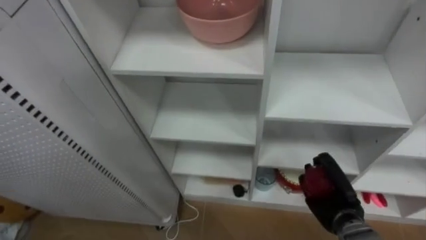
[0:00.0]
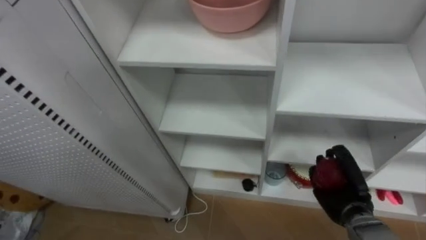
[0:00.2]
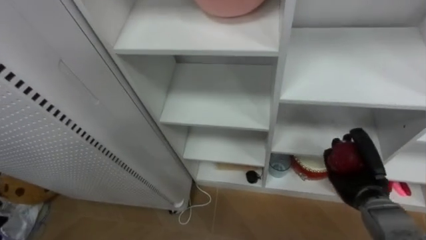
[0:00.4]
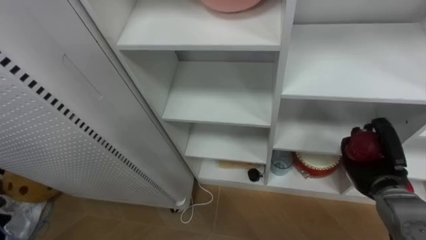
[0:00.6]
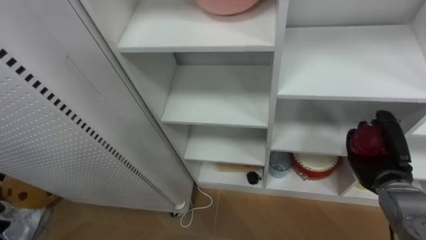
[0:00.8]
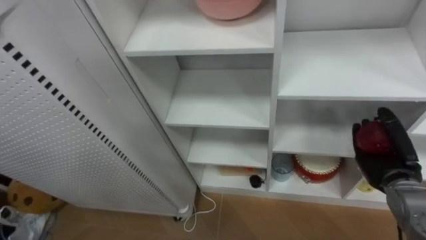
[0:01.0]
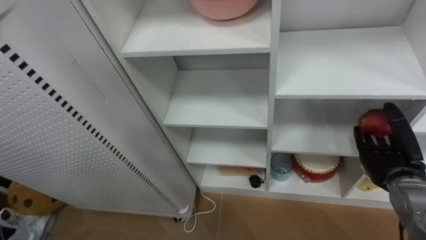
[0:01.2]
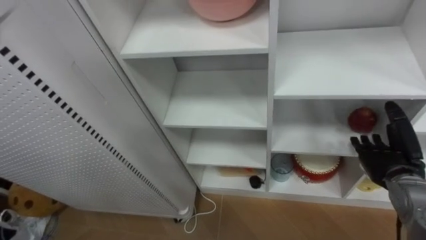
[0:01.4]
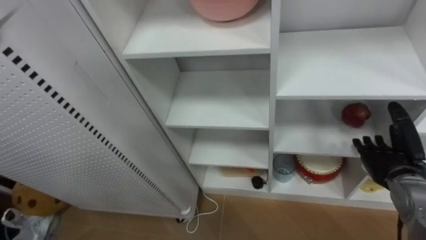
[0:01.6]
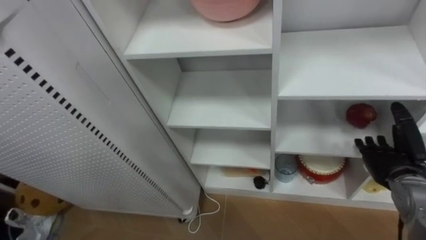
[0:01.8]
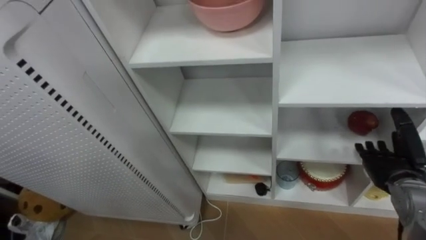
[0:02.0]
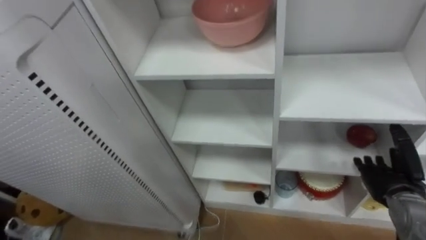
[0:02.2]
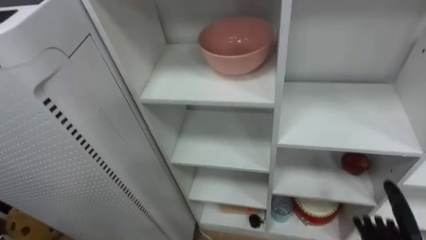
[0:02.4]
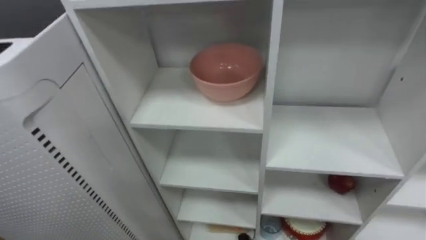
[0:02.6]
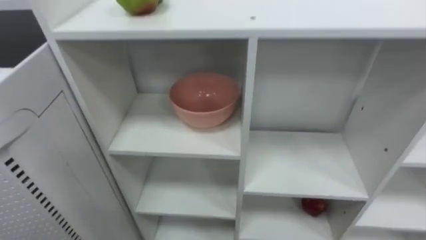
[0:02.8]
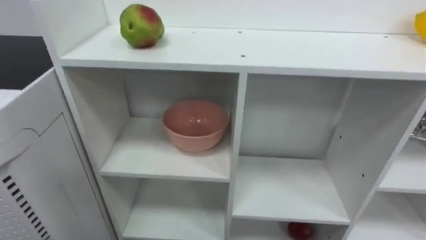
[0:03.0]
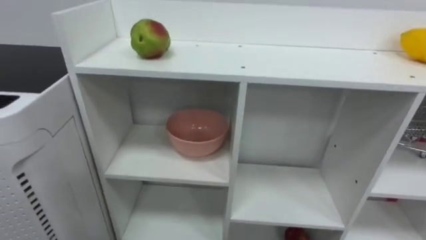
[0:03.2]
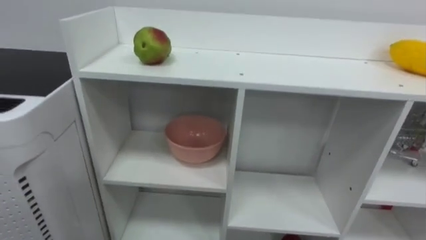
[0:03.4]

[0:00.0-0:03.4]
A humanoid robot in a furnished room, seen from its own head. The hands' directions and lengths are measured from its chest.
Task of the whole recording: Put the apple in the cell in the second column from the left and the second row from the top.
0:00.0 to 0:01.6: The right hand shifts about 15 cm to the right and upward, and opens up.

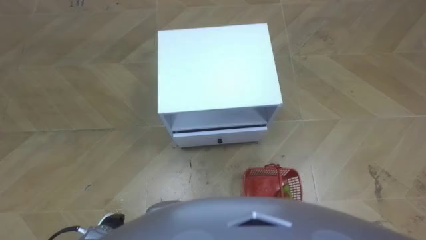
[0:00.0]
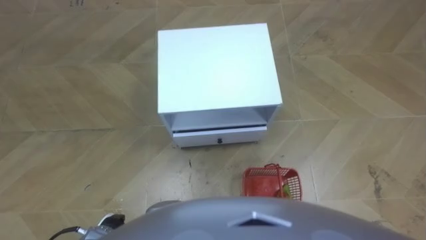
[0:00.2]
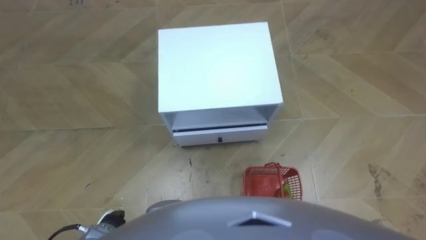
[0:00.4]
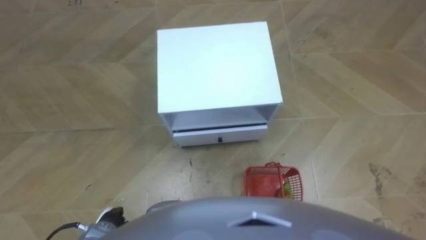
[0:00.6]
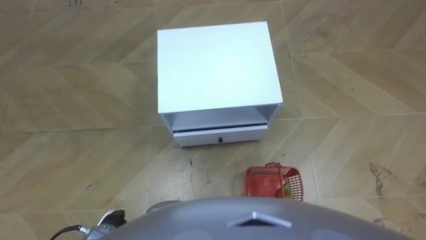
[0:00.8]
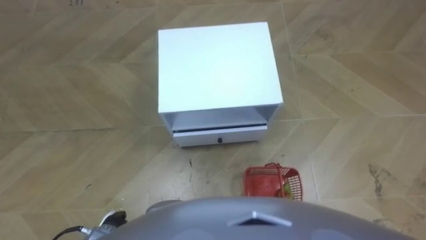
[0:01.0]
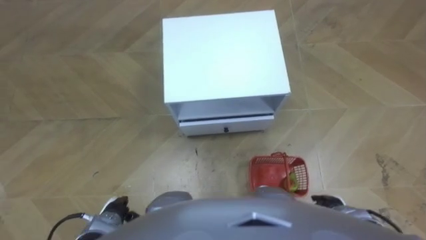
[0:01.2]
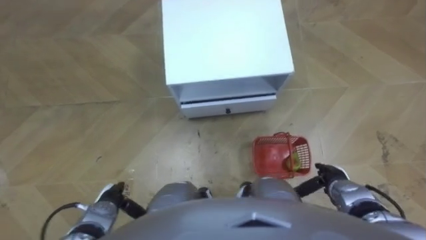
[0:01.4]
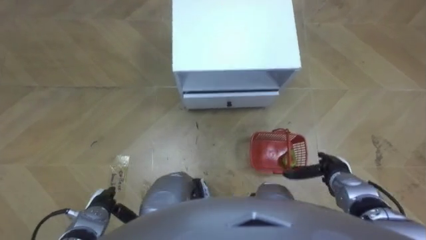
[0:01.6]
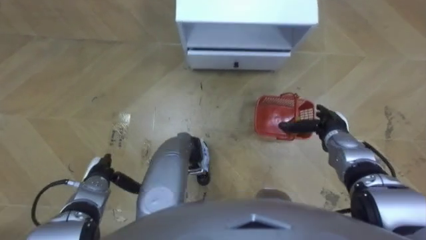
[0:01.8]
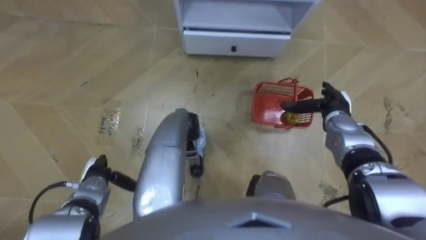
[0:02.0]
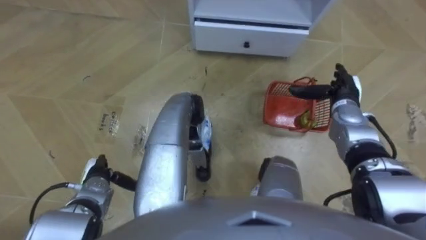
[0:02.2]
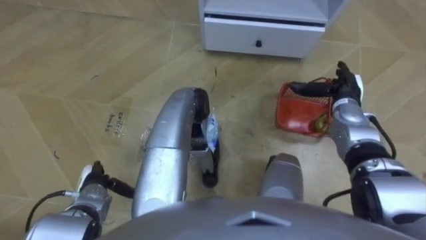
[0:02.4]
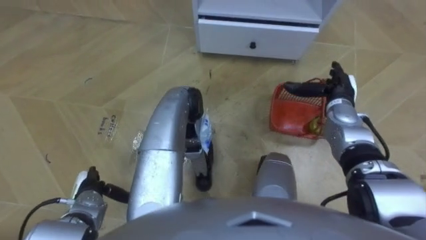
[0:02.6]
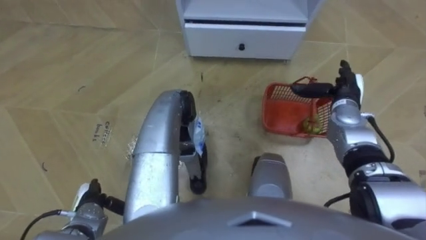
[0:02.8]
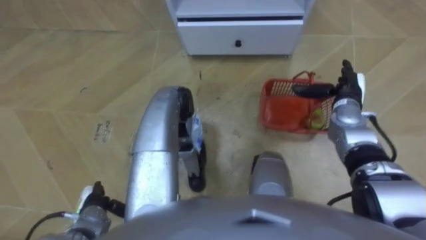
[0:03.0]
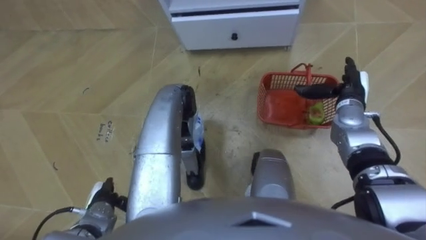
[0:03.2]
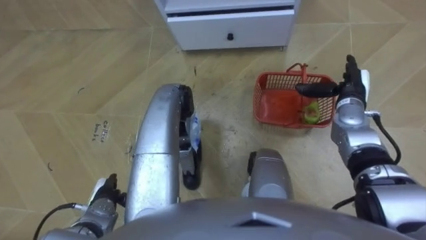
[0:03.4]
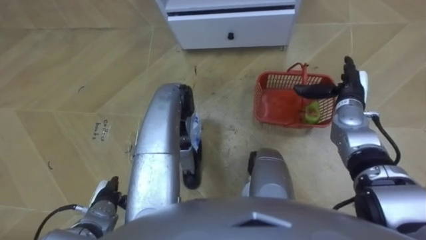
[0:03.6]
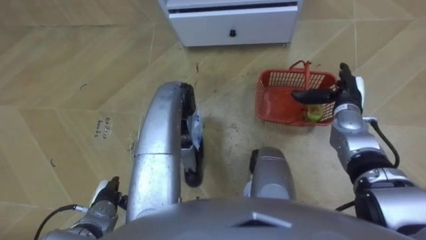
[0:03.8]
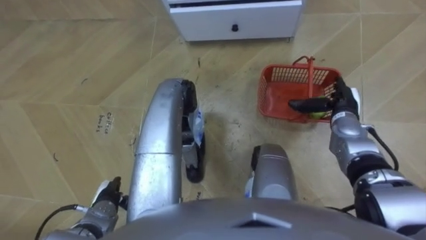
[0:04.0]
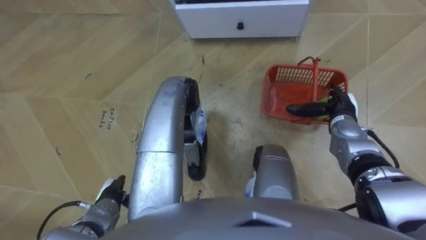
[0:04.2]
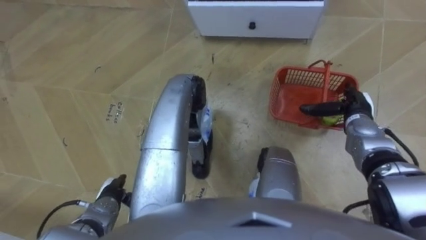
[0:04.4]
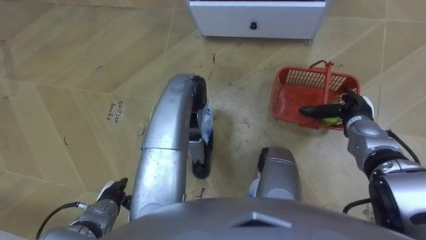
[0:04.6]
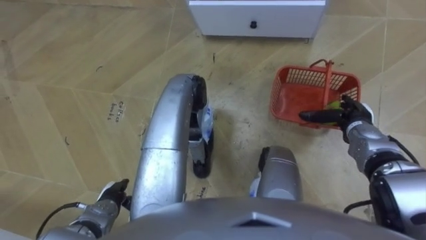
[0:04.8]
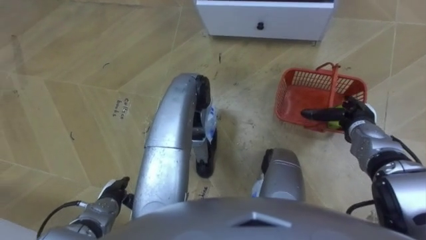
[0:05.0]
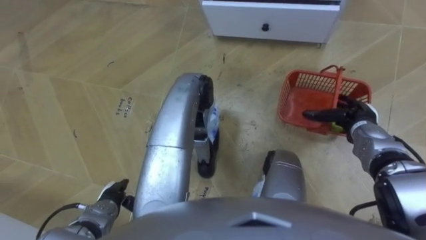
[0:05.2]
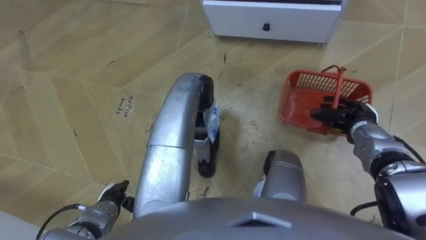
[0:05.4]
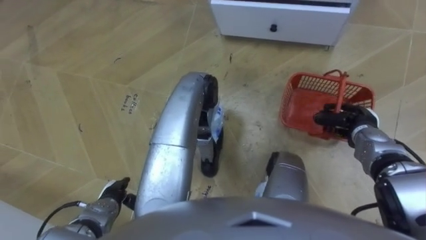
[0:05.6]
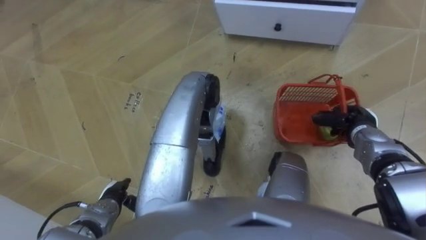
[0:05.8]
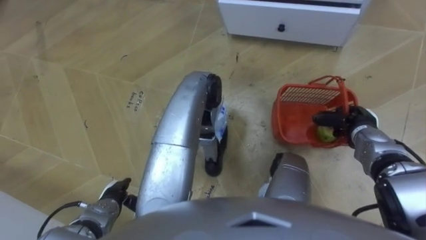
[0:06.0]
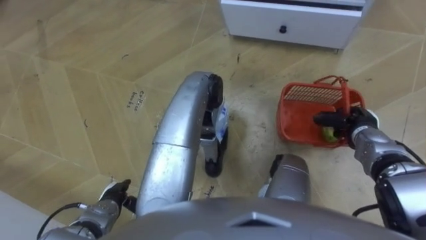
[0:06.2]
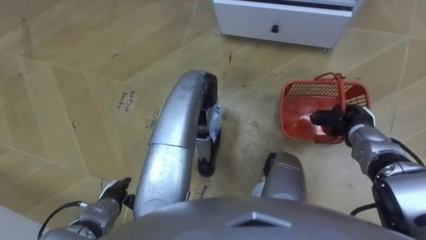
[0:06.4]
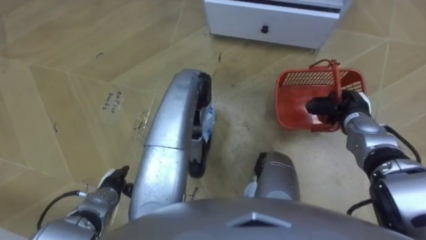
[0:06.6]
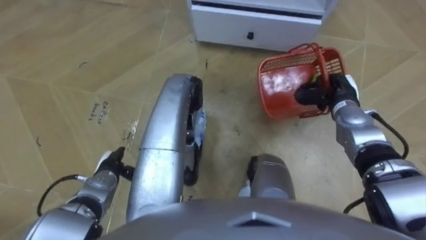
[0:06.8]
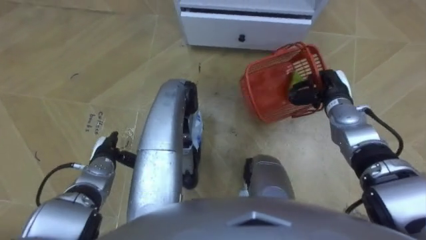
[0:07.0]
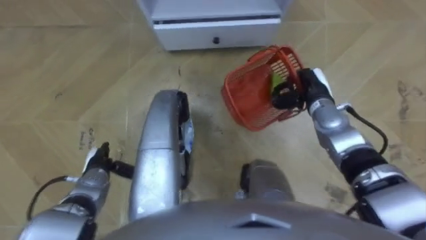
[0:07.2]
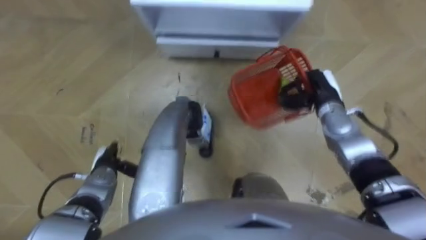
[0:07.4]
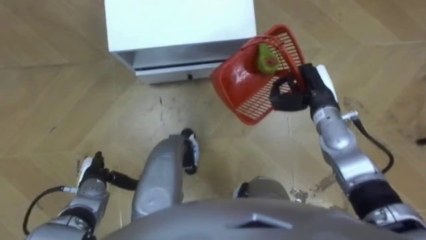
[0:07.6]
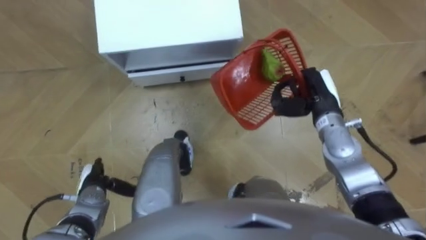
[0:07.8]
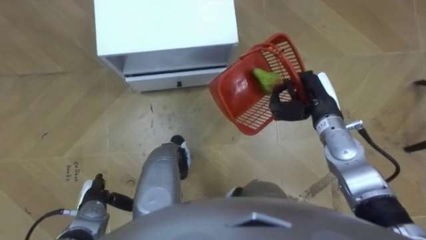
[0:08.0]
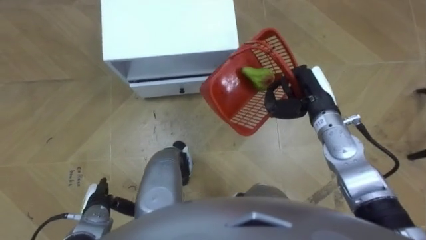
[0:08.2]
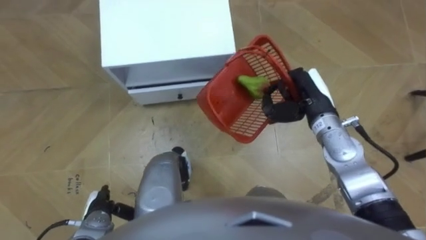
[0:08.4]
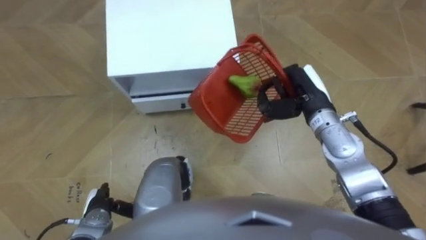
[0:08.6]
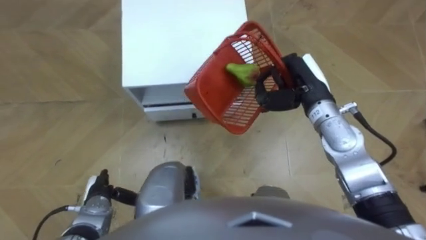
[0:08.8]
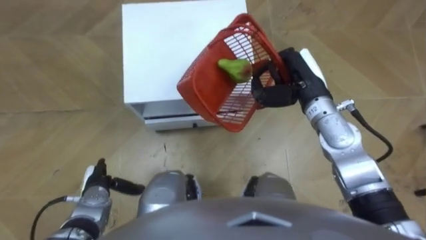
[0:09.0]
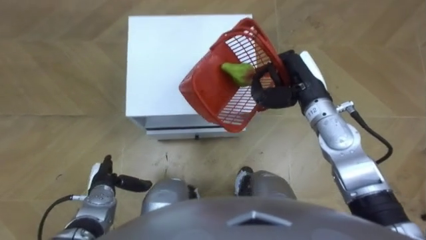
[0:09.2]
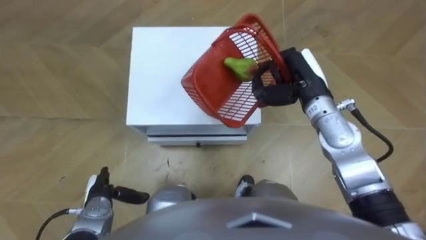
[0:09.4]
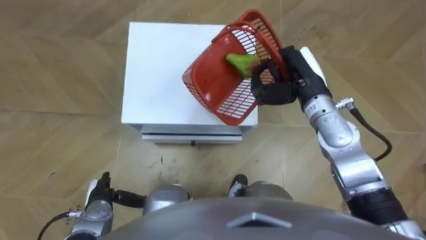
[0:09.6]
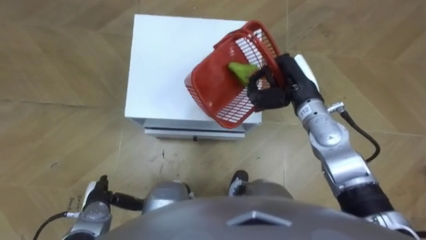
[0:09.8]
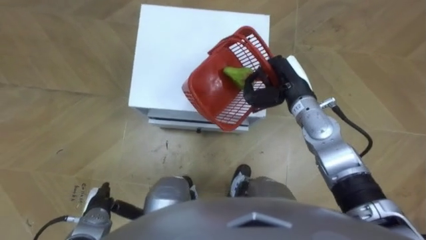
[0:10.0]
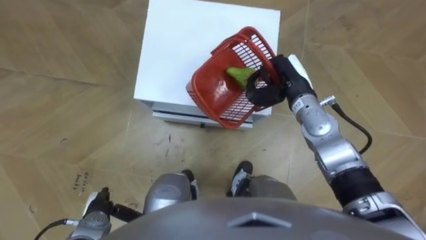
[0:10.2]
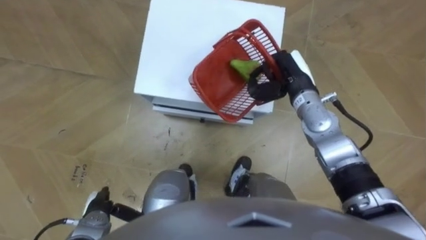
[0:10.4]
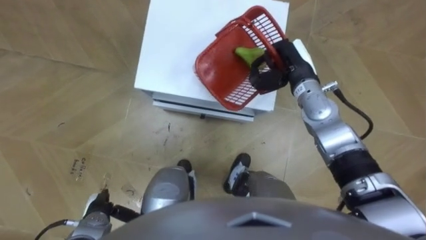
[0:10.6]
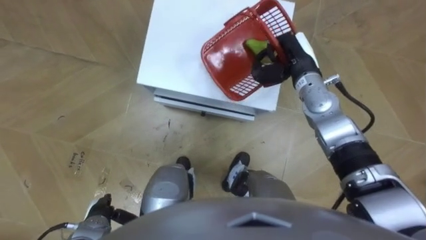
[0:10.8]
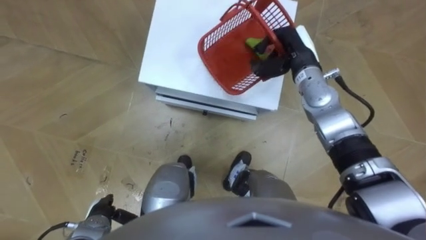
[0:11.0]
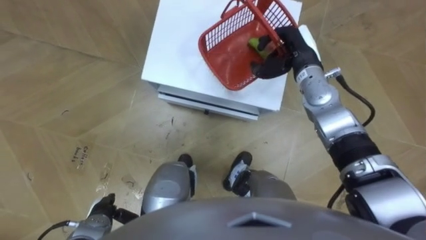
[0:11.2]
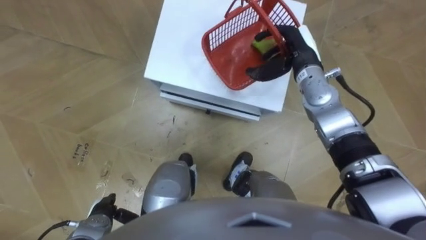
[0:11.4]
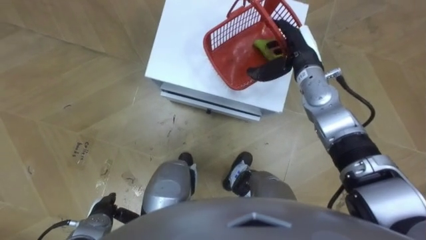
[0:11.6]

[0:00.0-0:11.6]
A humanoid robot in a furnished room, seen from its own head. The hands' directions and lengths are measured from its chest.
Task of the whole recording: Pick up the fruit basket from the floor and place it on the cabinet.
0:01.4 to 0:02.8: The left hand moves approximately 5 cm forward and comes back. The right hand is displaced forward and upward by about 20 cm.
0:04.4 to 0:05.8: The right hand closes.
0:05.8 to 0:07.2: The right hand shifts about 10 cm to the left and forward. Meanwhile the left hand goes some 10 cm forward.
0:07.2 to 0:08.8: The right hand moves upward, roughly 10 cm. Meanwhile the left hand travels backward by approximately 10 cm.
0:10.2 to 0:11.6: The right hand moves forward, approximately 5 cm, and opens.

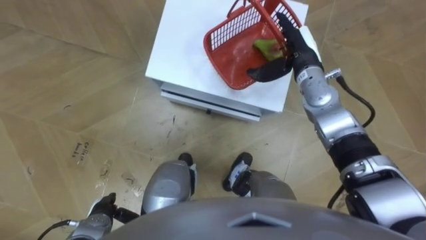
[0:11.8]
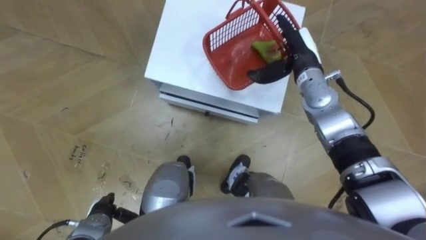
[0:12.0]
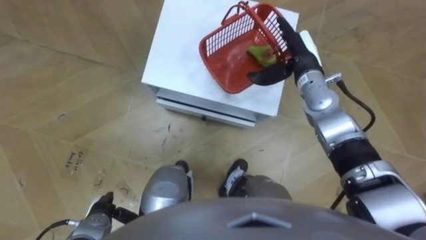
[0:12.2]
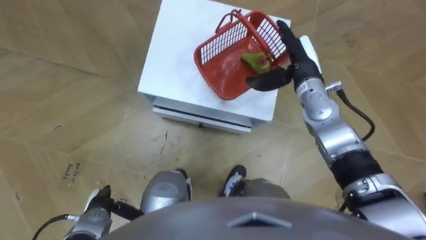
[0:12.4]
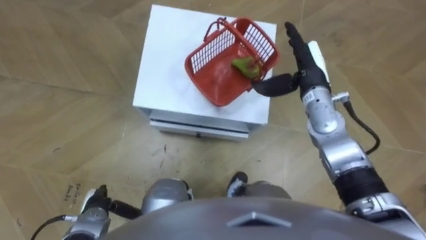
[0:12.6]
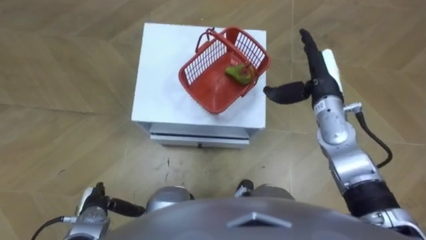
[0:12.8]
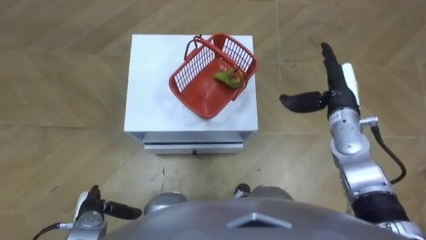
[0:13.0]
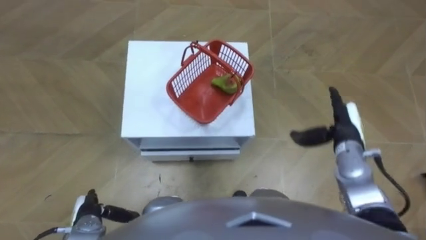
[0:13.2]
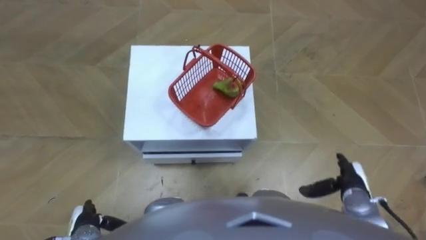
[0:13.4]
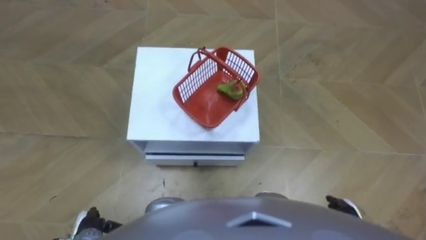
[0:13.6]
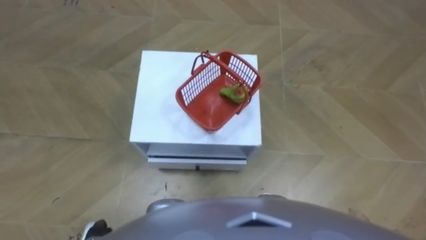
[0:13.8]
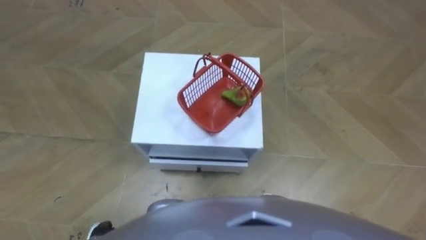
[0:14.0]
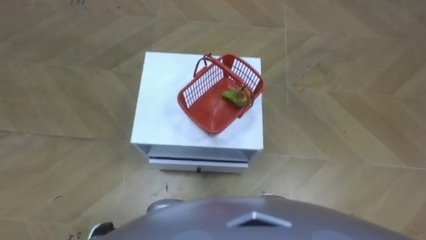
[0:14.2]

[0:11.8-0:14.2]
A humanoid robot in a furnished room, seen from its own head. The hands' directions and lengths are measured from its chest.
Task of the whole recording: Pick up the fruit basket from the floor and place it on the cabinet.
0:11.8 to 0:13.0: The right hand travels backward and to the right by roughly 10 cm.
0:13.0 to 0:14.2: The left hand heads backward, covering about 5 cm.
